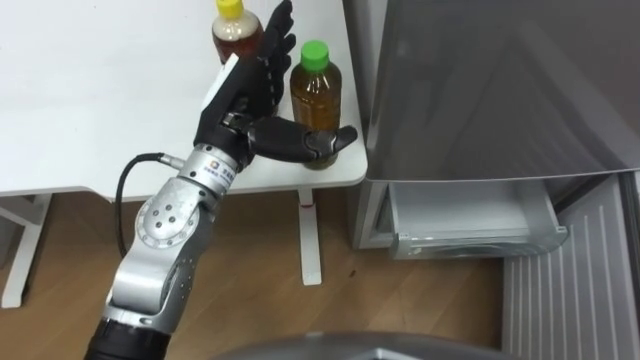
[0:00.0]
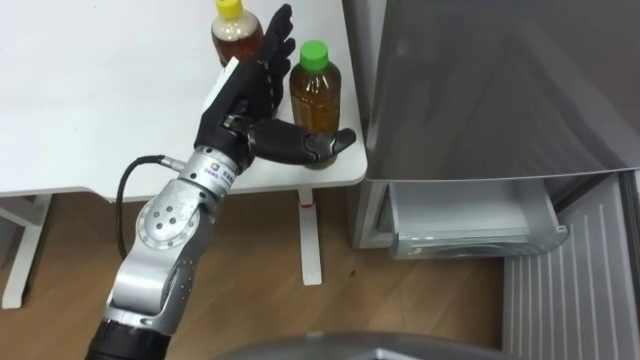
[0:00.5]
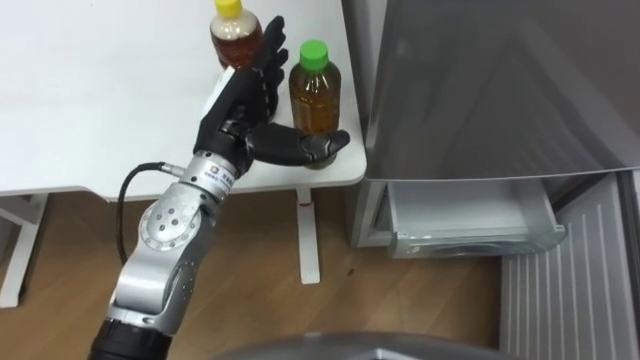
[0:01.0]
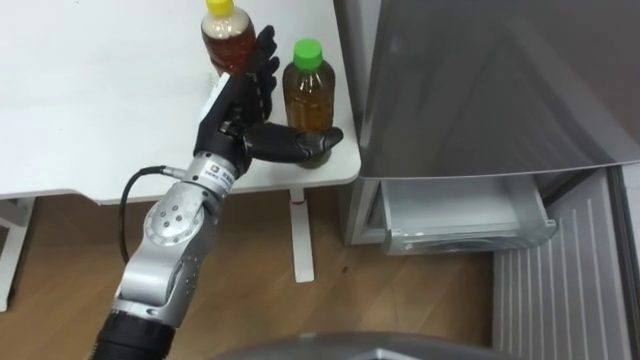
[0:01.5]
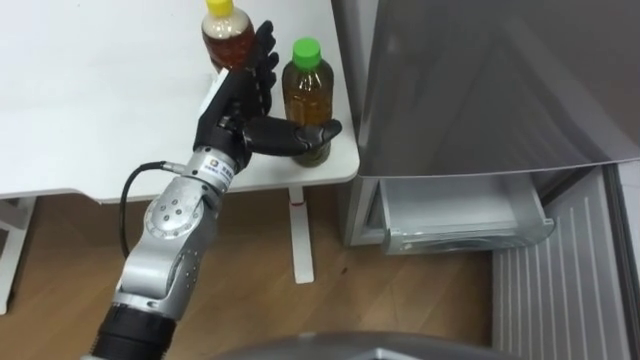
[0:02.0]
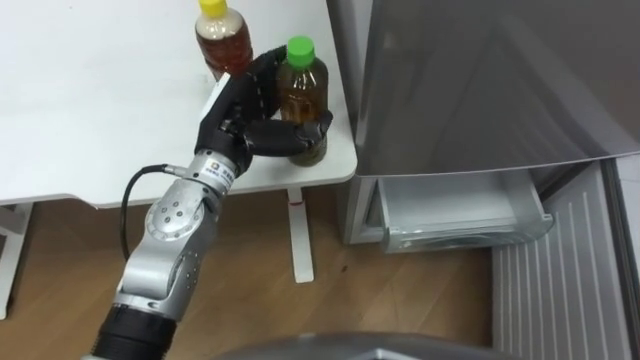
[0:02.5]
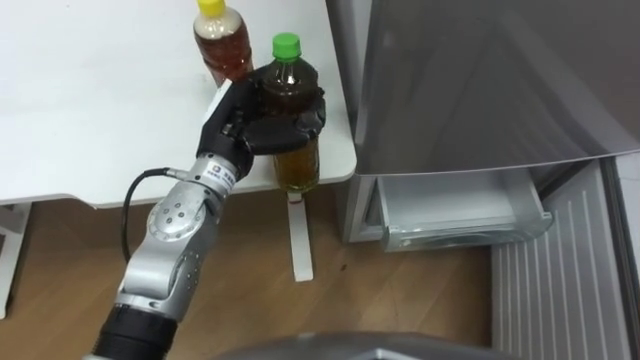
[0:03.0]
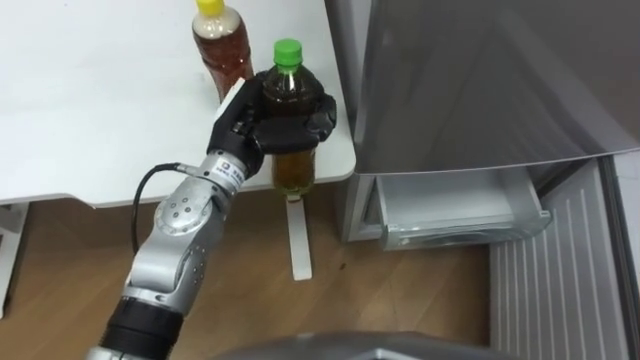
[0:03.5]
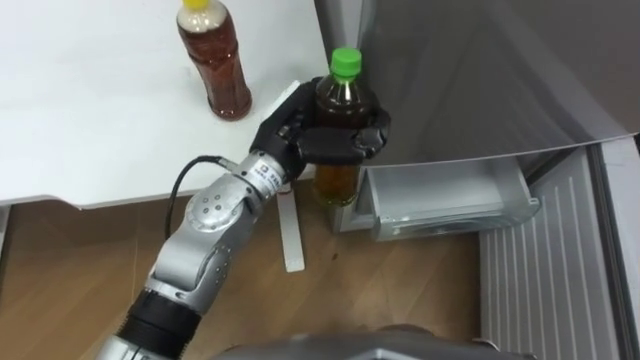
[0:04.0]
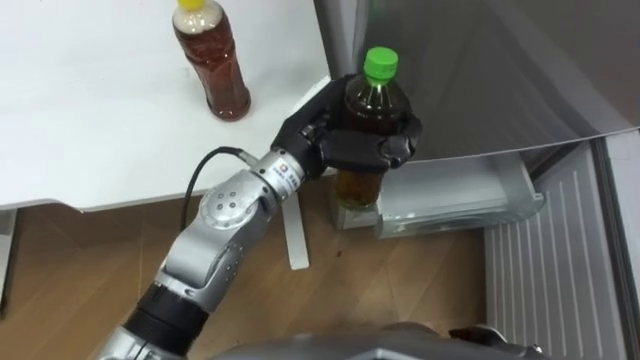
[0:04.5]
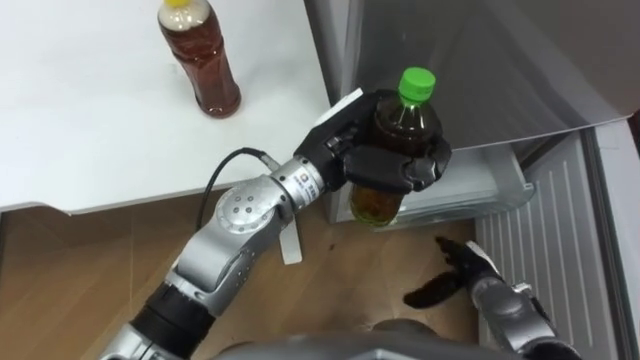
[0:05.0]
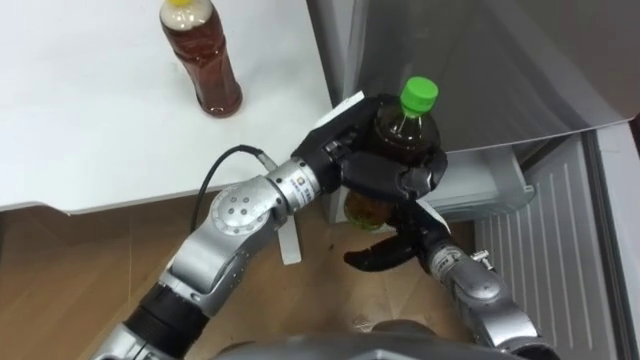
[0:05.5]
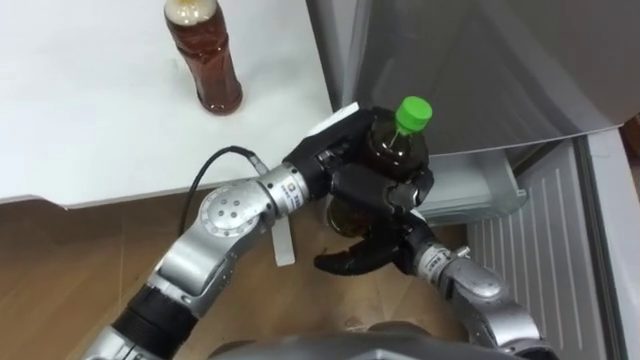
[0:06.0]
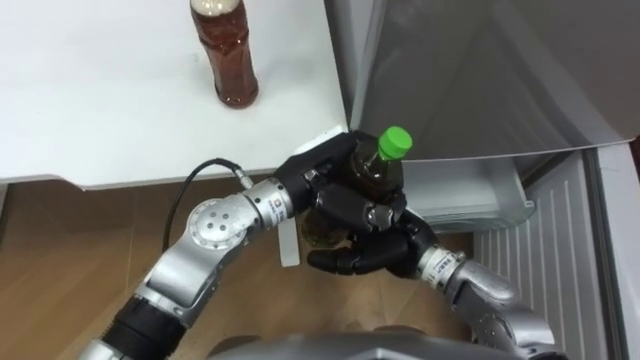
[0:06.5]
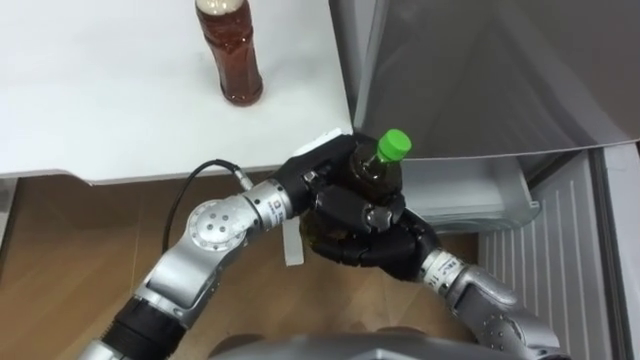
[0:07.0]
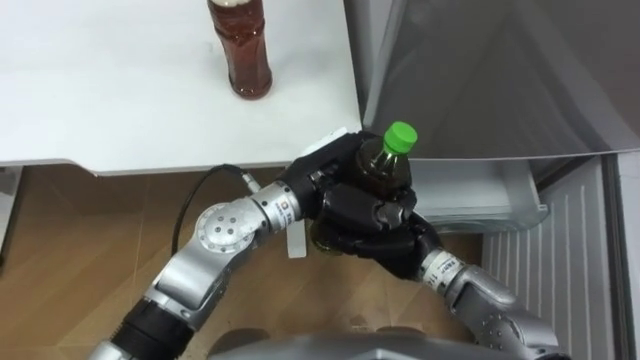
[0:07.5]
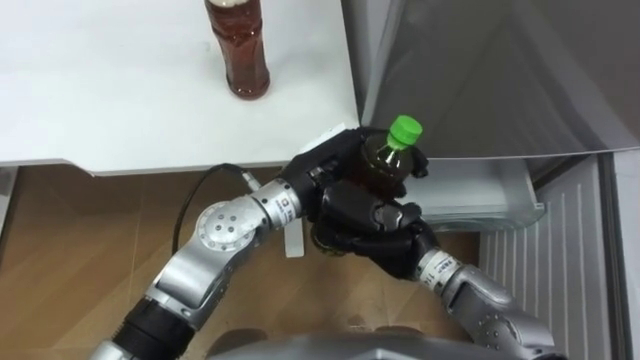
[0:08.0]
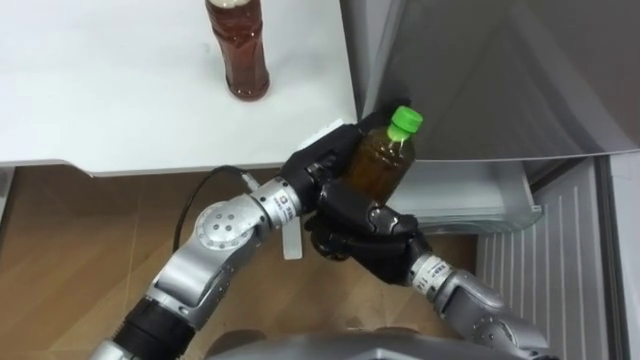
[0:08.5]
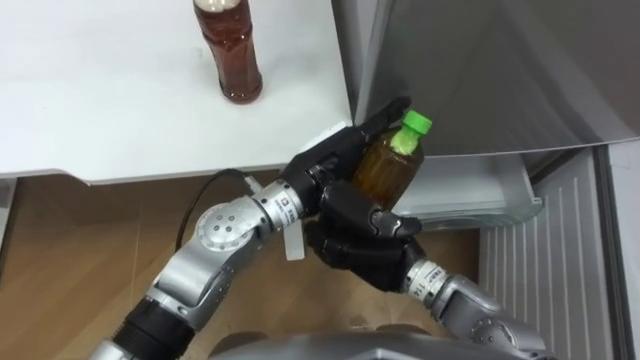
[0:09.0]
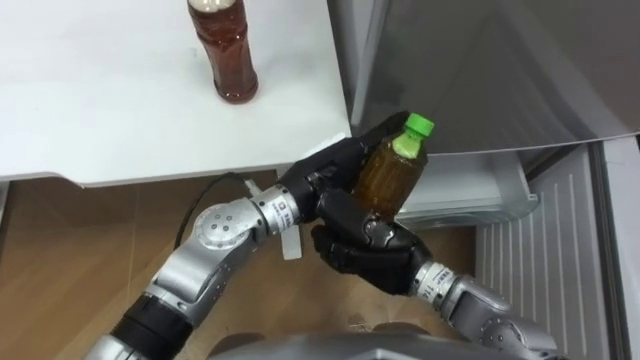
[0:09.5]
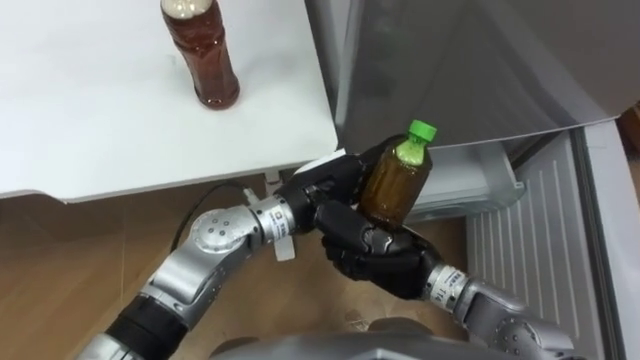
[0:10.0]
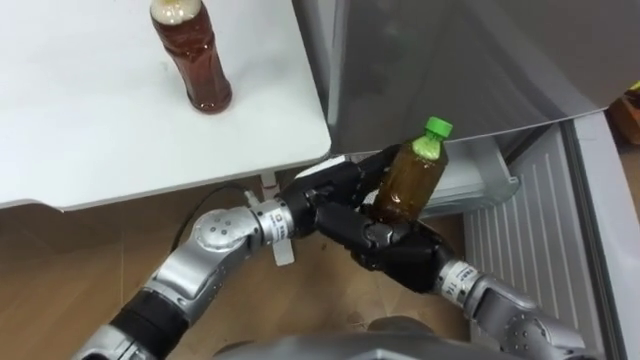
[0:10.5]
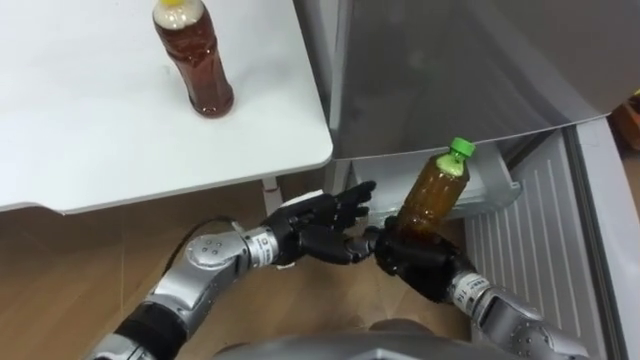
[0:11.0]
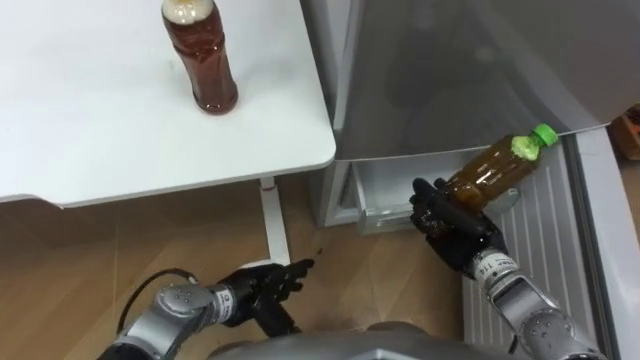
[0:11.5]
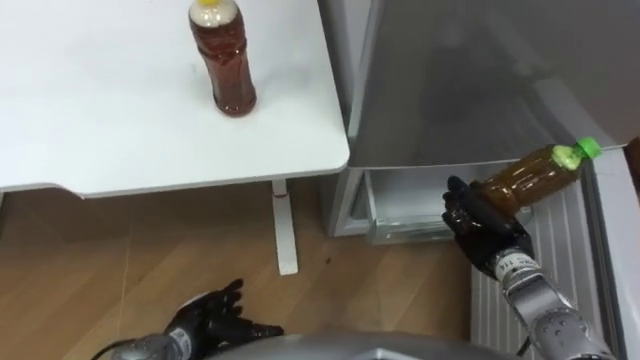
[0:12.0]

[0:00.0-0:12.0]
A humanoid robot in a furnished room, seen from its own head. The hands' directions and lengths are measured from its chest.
Task of the whole recording: Place the drink on the table on the bottom shelf of the refrigerator, then close the drawer and the refrigerator door.
0:02.0 to 0:04.0: The left hand travels to the right by some 5 cm, and closes.
0:04.0 to 0:06.0: The left hand moves about 5 cm.
0:06.0 to 0:08.0: The right hand closes.
0:08.0 to 0:10.0: The left hand opens.
0:10.0 to 0:12.0: The right hand shifts roughly 15 cm to the right, while the left hand is displaced downward, to the left and backward by about 30 cm.

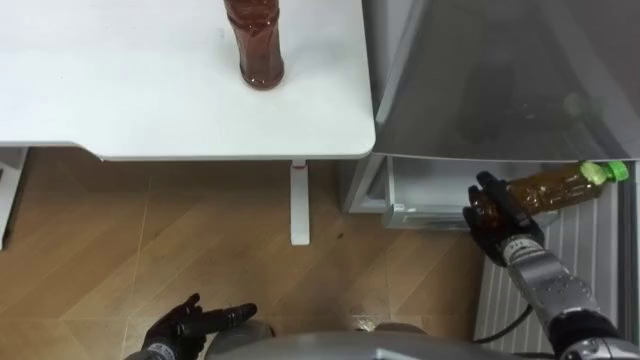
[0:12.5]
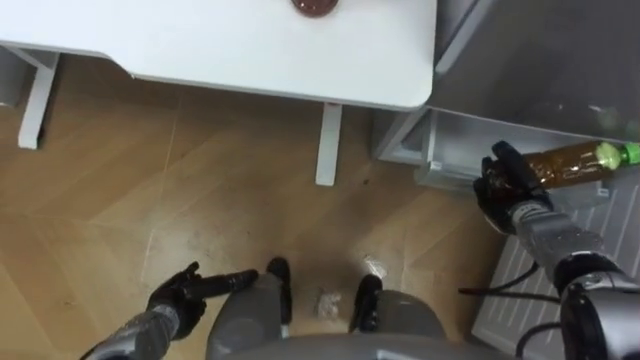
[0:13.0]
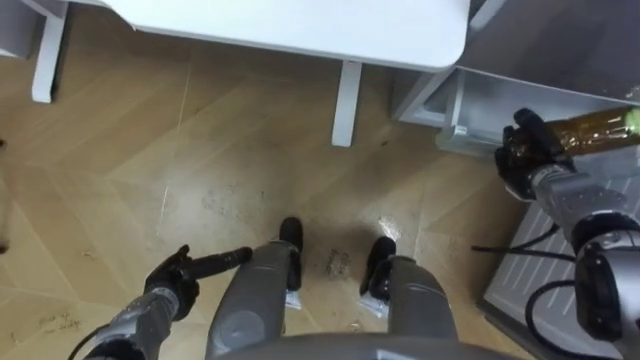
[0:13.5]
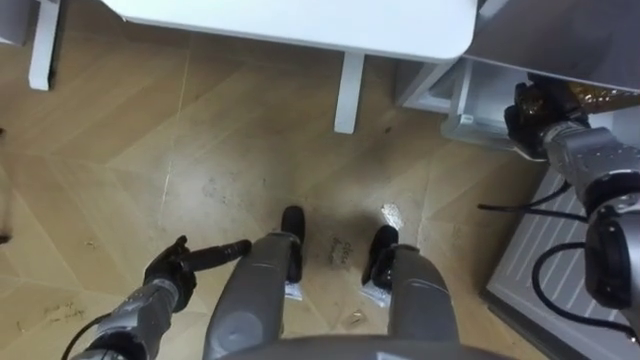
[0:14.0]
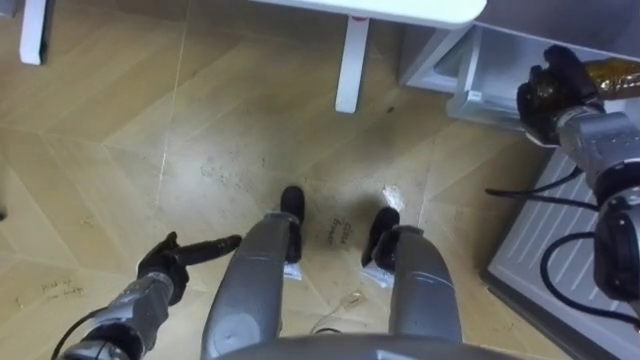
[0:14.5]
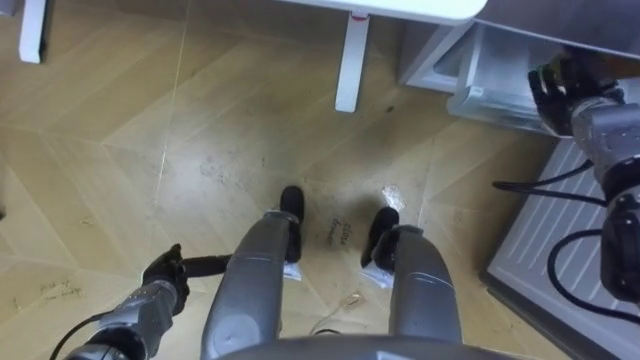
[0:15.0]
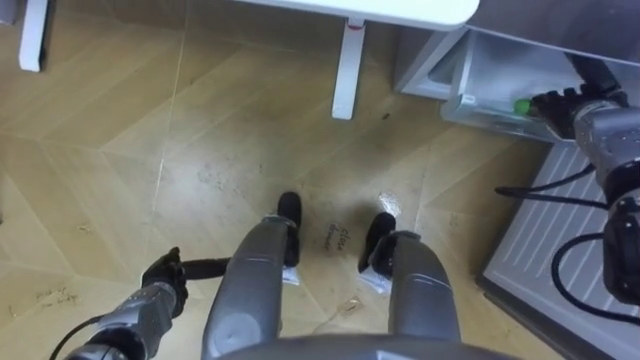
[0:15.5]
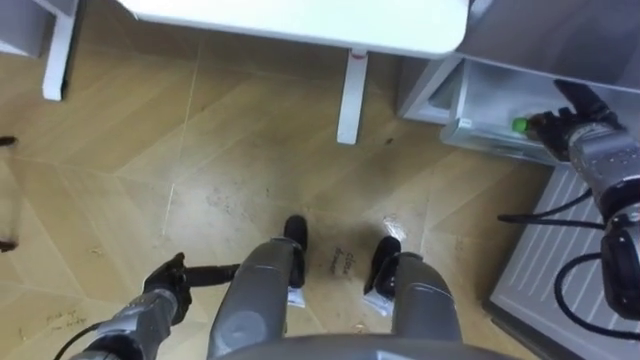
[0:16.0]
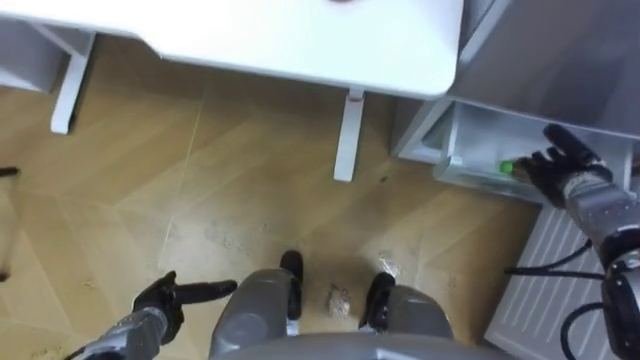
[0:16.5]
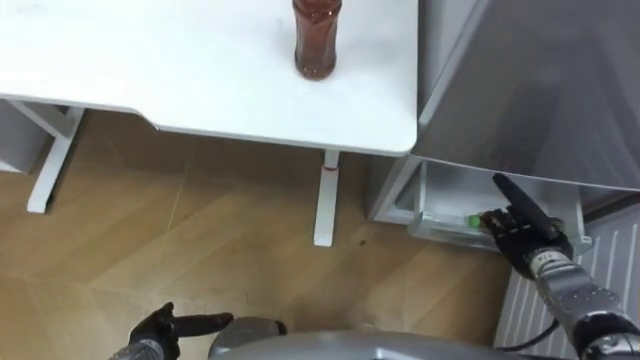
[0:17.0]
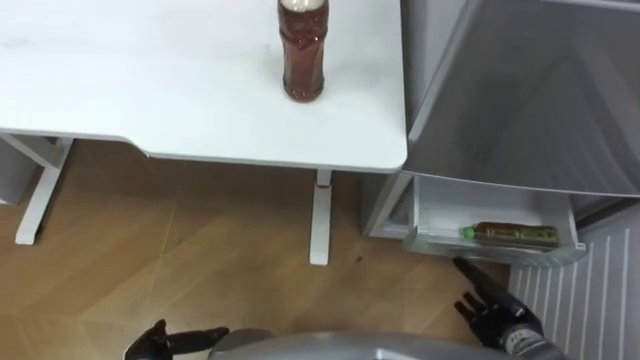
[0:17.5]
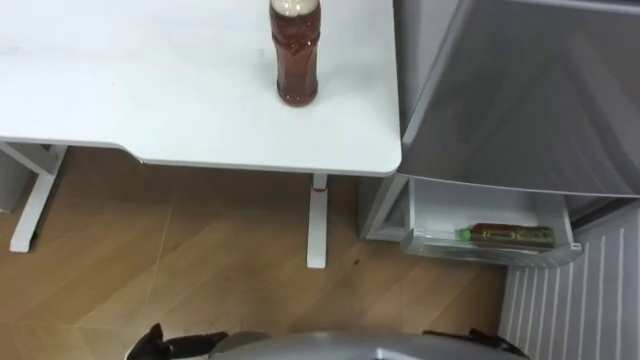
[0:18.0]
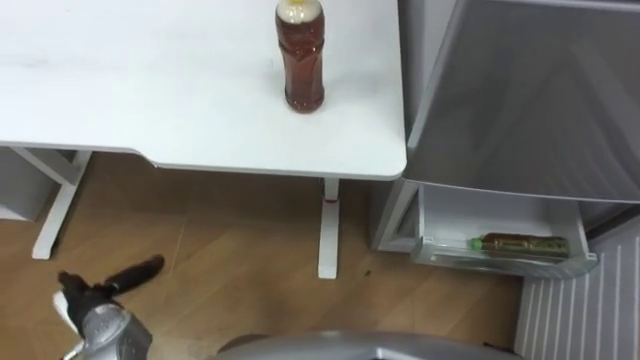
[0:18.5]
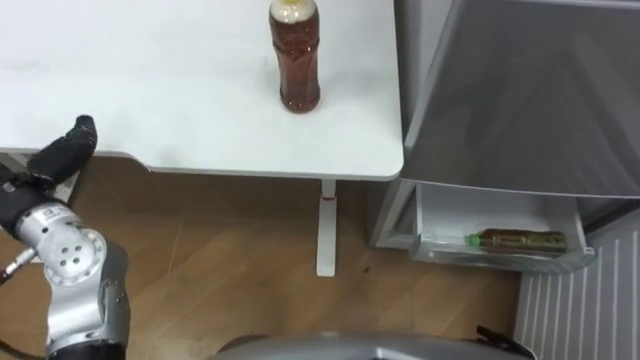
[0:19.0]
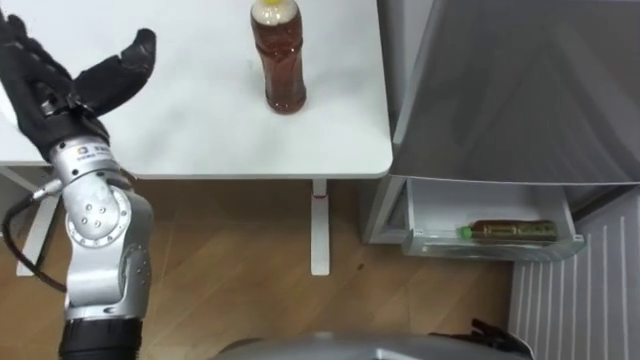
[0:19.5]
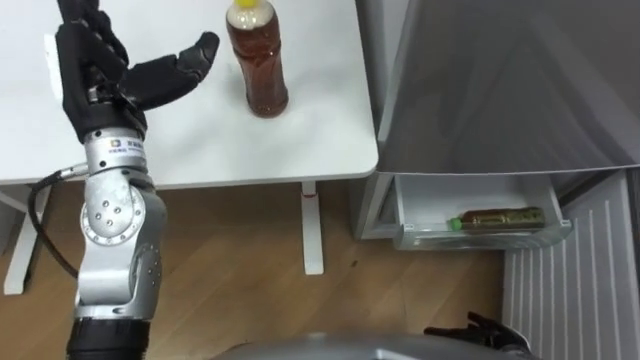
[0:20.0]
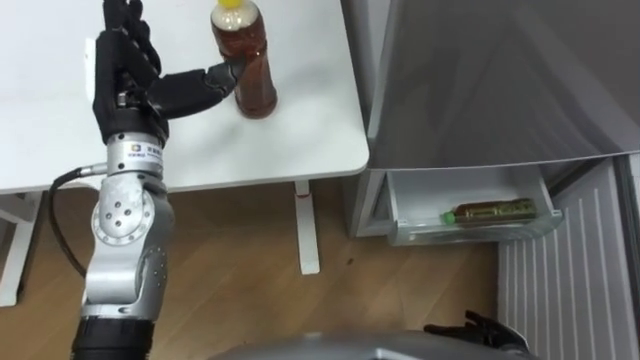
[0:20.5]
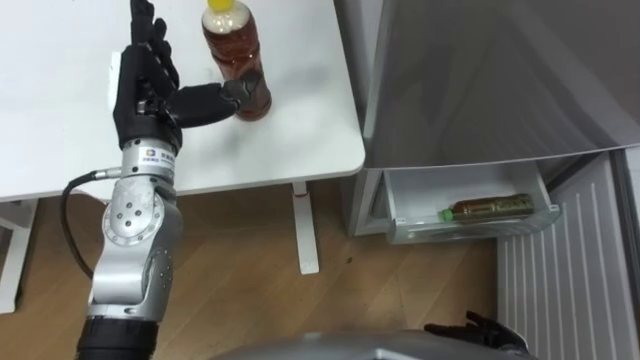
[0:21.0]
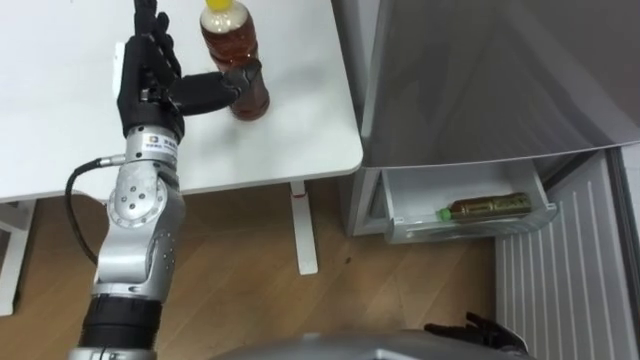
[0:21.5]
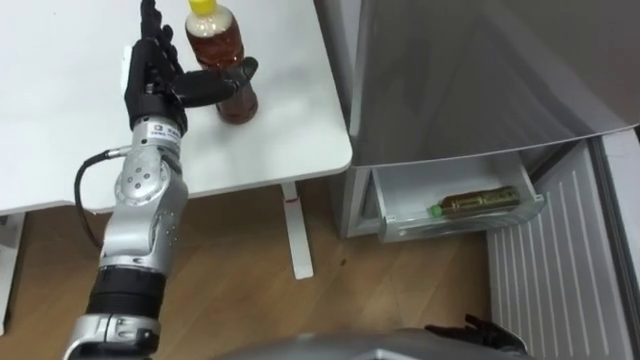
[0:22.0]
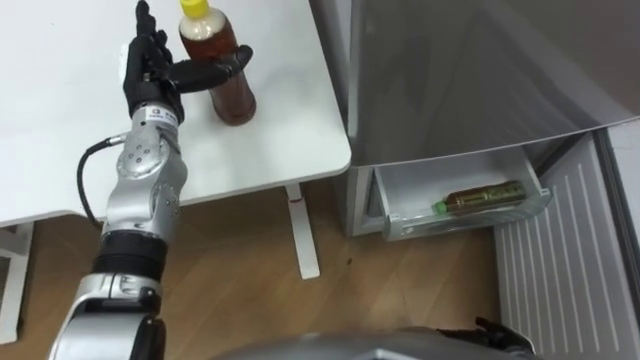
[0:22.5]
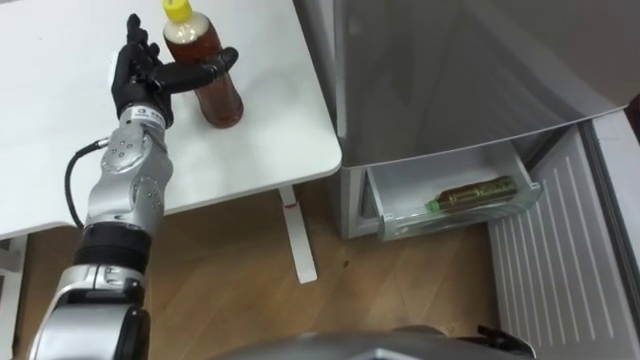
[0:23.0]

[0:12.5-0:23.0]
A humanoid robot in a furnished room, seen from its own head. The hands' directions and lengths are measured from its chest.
Task of the whole recording: Place the drink on the table on the bottom shelf of the refrigerator, then close the drawer and the refrigerator door.
0:12.5 to 0:14.5: The left hand travels forward by approximately 10 cm, while the right hand goes some 20 cm forward and upward.
0:14.5 to 0:16.5: The right hand goes roughly 10 cm backward and downward, and opens up.
0:19.0 to 0:21.0: The left hand heads to the right, forward and upward, covering approximately 20 cm.
0:21.0 to 0:23.0: The left hand is displaced forward and downward by about 10 cm.
